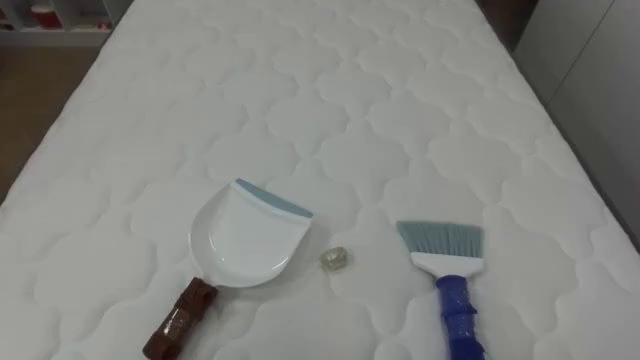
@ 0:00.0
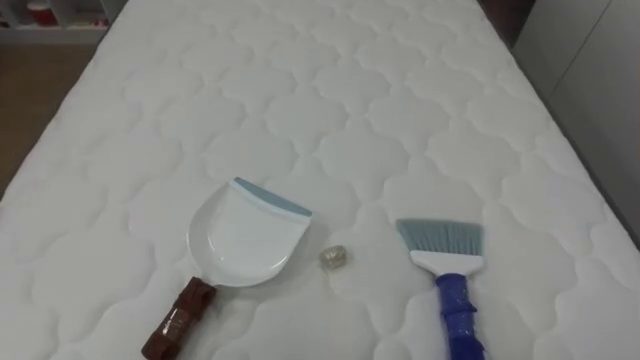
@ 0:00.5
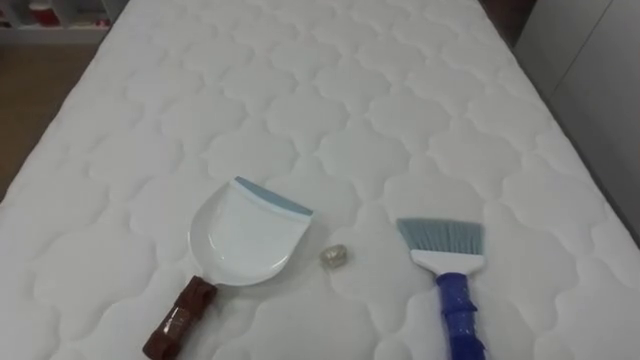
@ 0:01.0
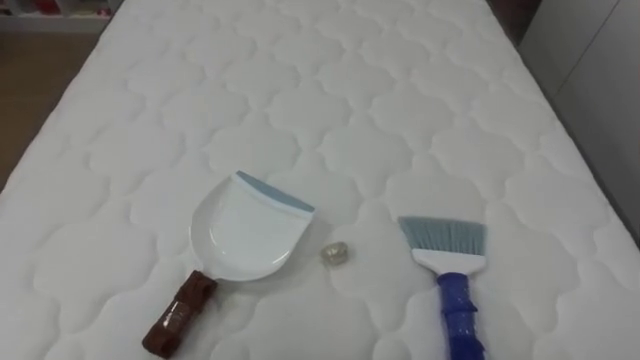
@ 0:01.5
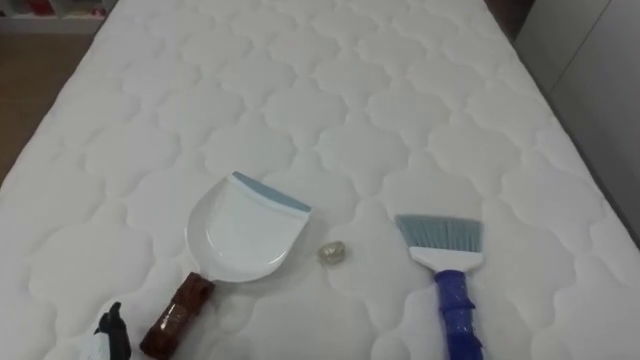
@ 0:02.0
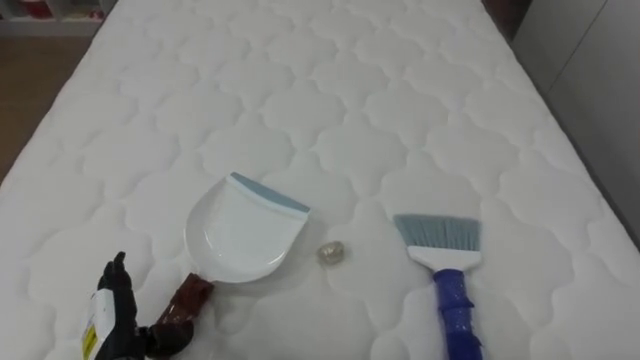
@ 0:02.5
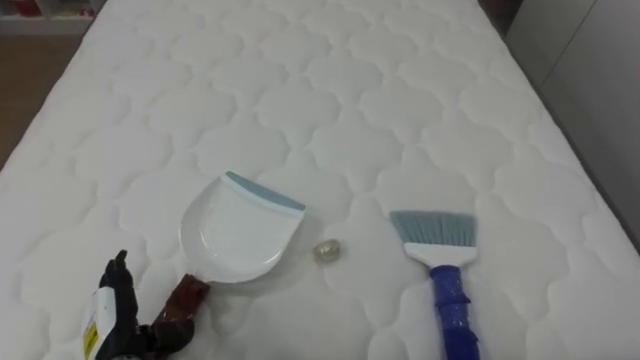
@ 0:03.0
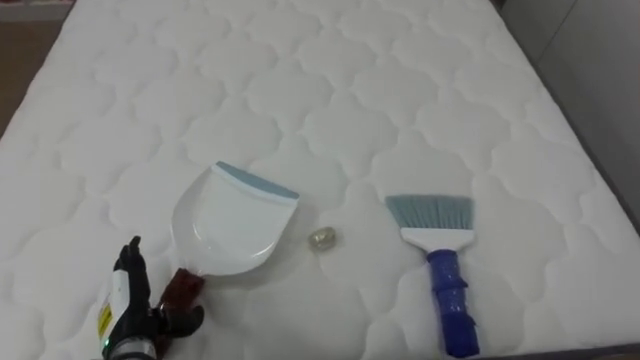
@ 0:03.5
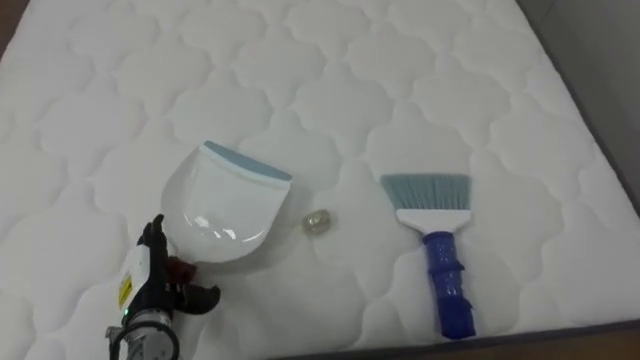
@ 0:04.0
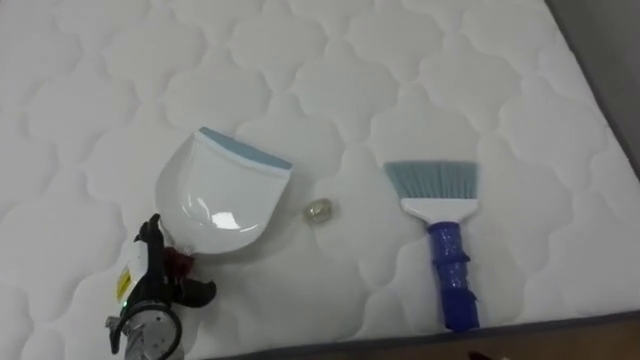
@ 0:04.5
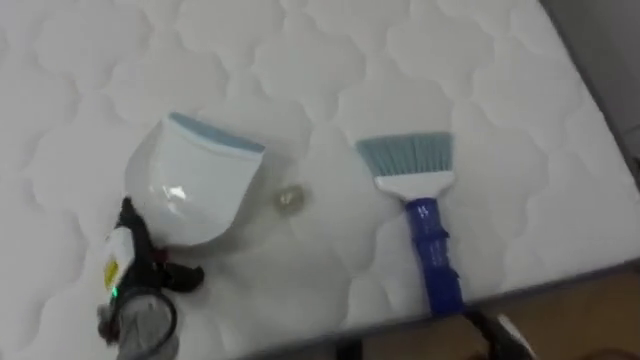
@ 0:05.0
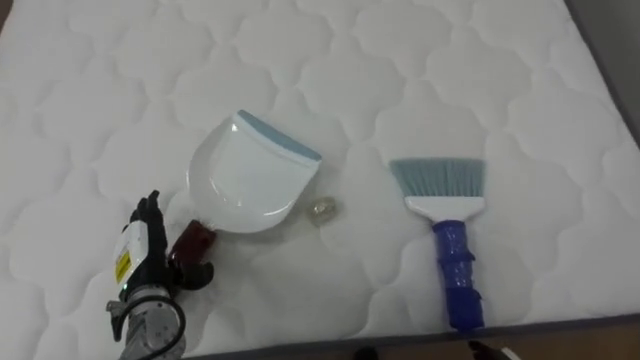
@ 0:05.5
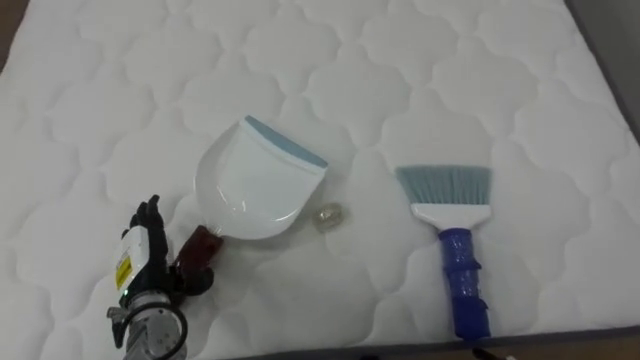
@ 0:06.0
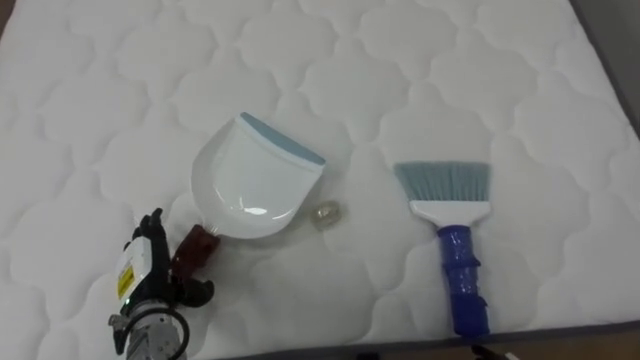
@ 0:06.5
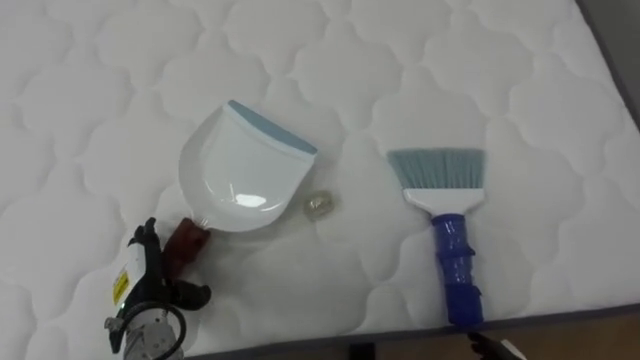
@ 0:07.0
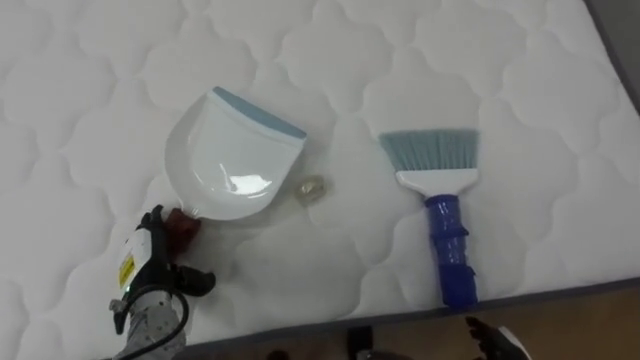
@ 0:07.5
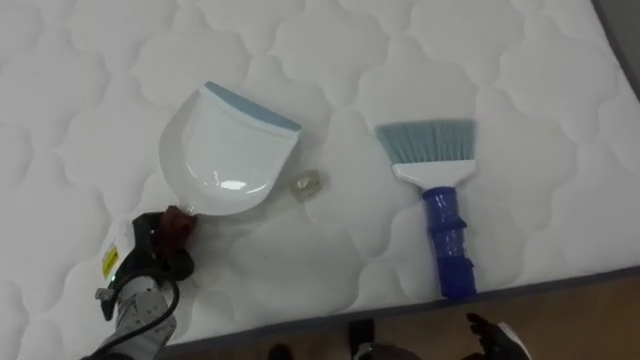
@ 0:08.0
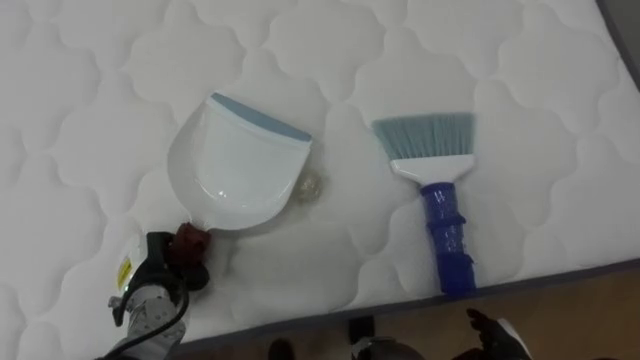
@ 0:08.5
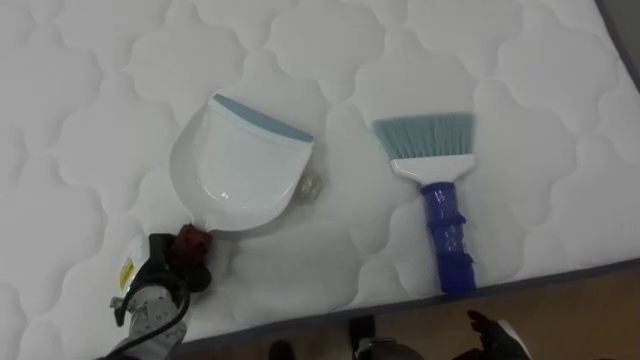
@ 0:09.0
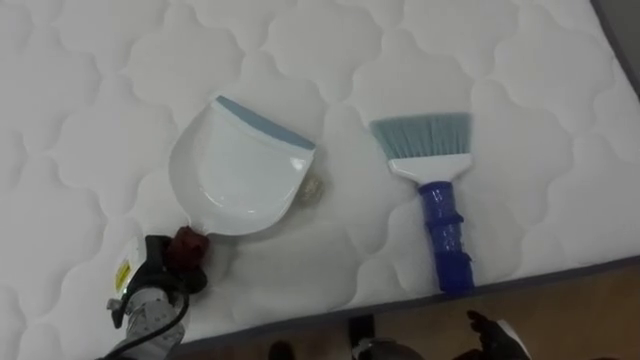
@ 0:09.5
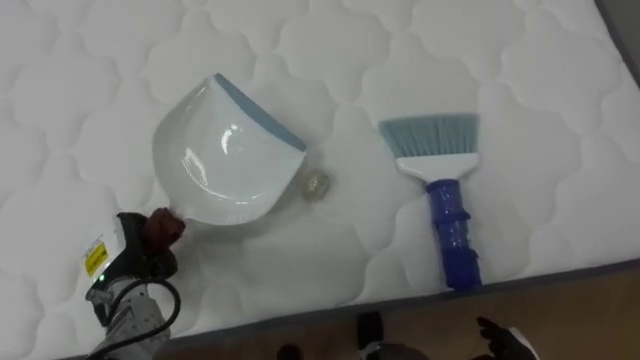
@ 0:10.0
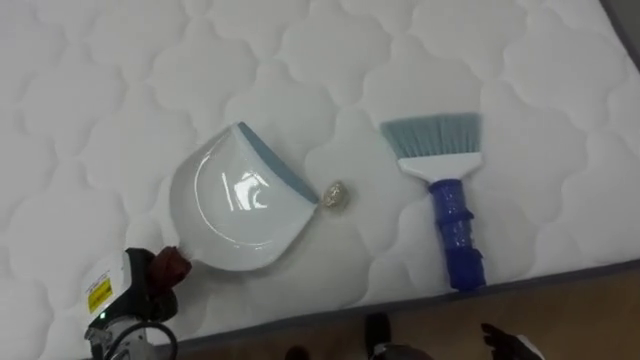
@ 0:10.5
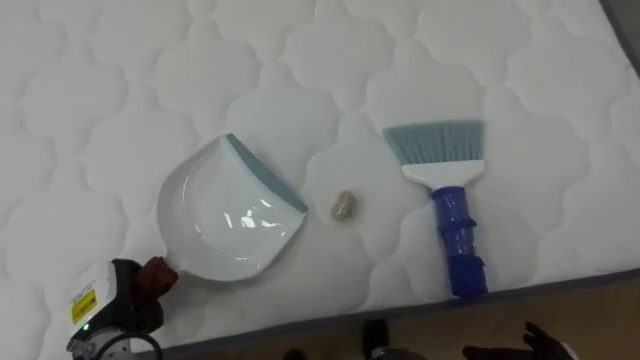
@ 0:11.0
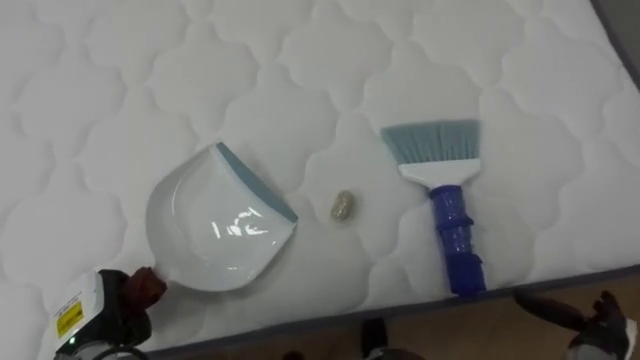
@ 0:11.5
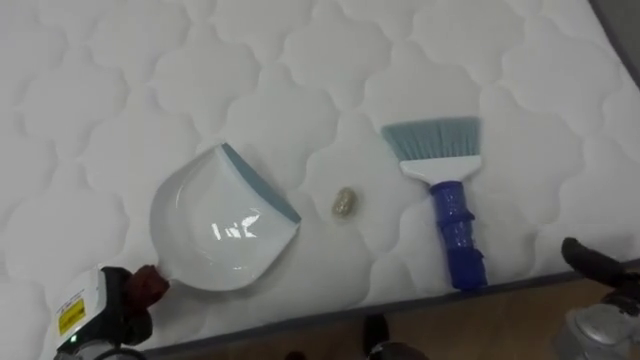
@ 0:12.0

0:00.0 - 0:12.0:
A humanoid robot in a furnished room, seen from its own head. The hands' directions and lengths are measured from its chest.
Task of the whole recording: Pick up the brush on your right and the dustpan on your left. Use the brush to sweep the crumpled paper on the bed into the dustpan, then turn left and empty it into the basket.
0:08.0 - 0:10.0: The left hand closes its fingers.
0:10.0 - 0:12.0: The left hand travels backward by roughly 10 cm.

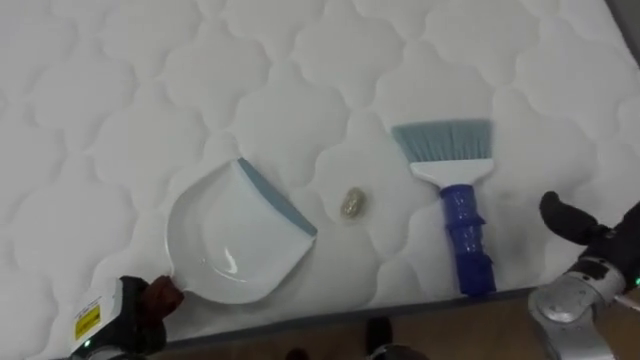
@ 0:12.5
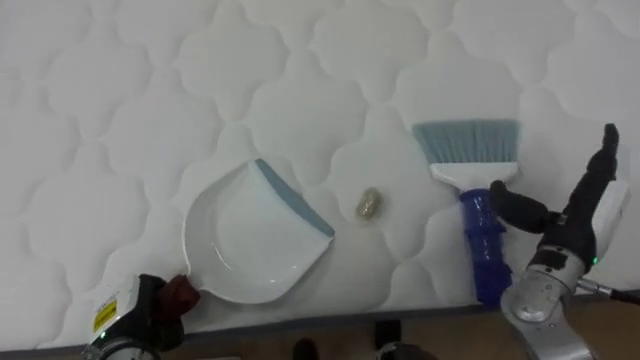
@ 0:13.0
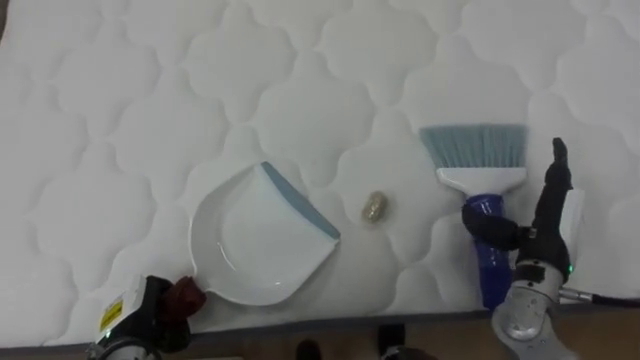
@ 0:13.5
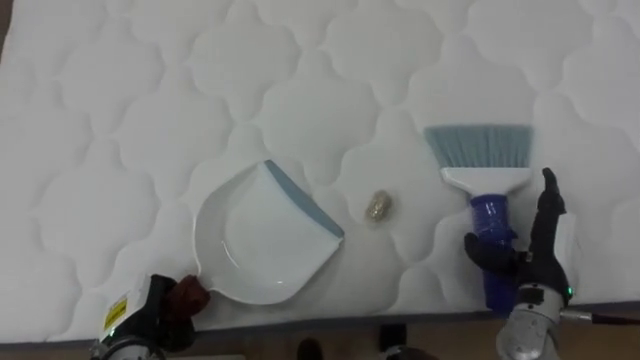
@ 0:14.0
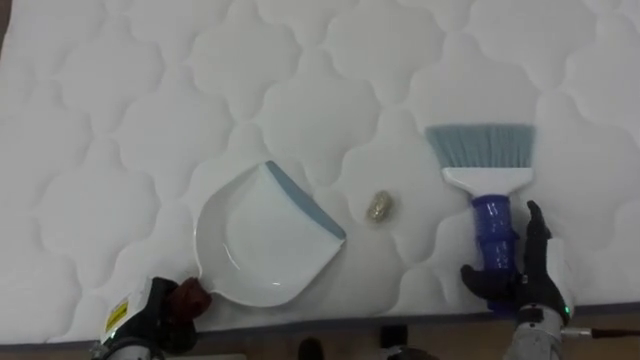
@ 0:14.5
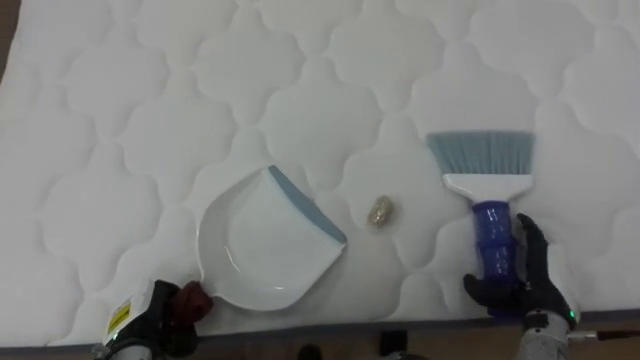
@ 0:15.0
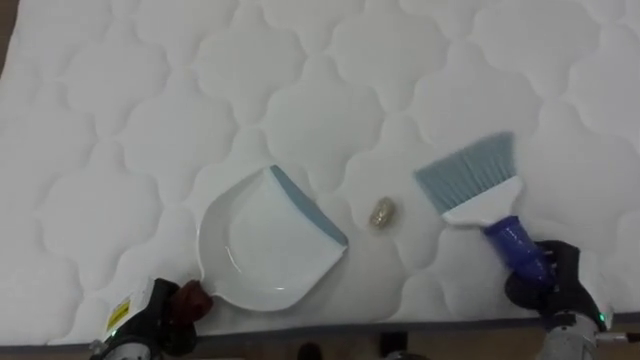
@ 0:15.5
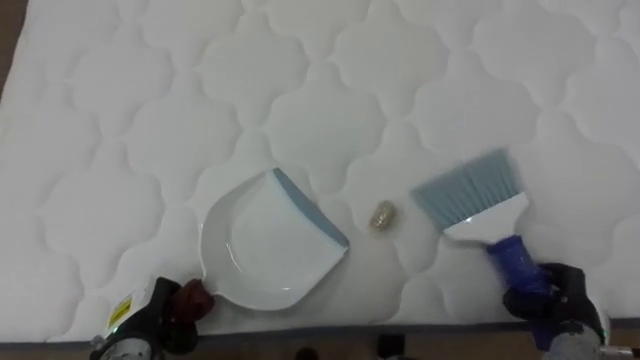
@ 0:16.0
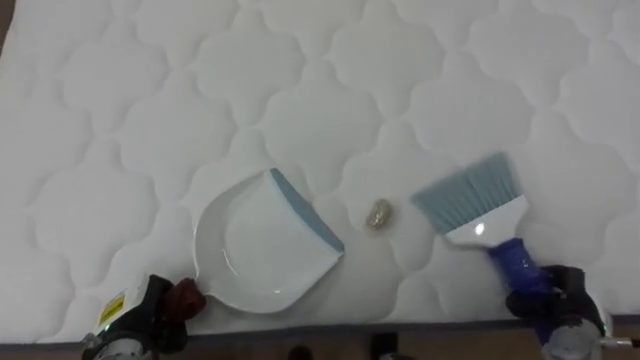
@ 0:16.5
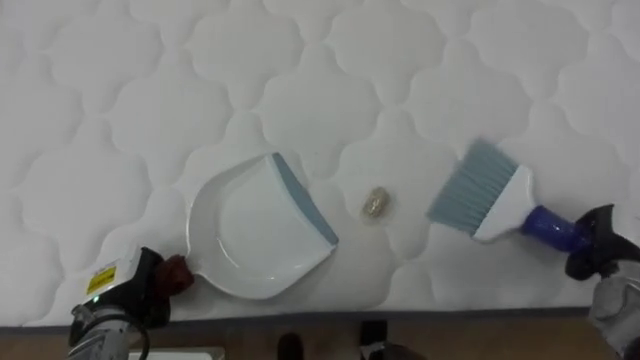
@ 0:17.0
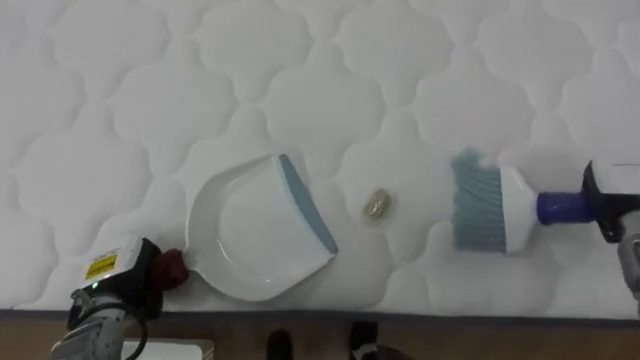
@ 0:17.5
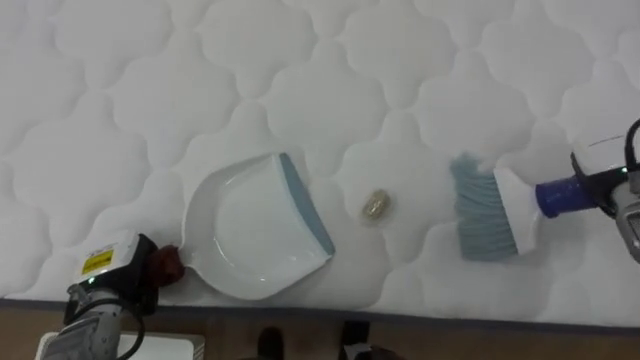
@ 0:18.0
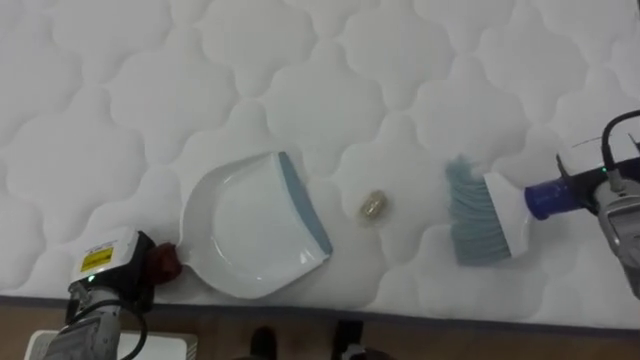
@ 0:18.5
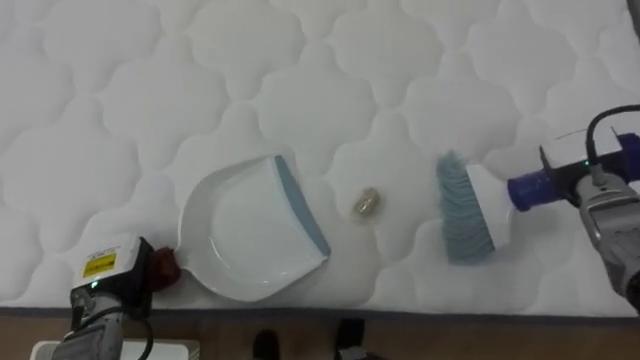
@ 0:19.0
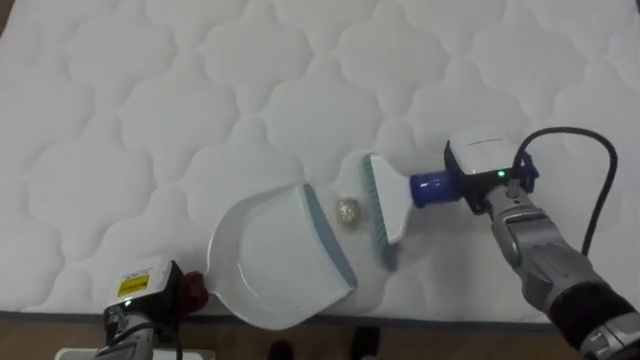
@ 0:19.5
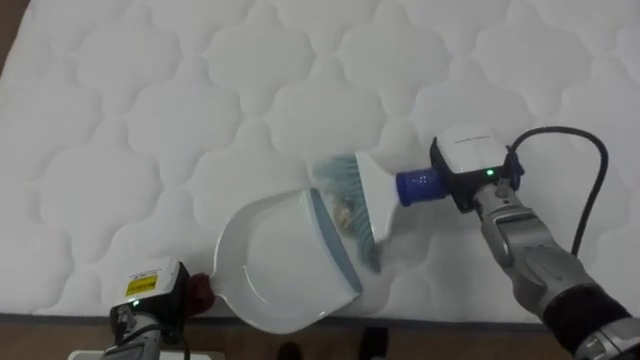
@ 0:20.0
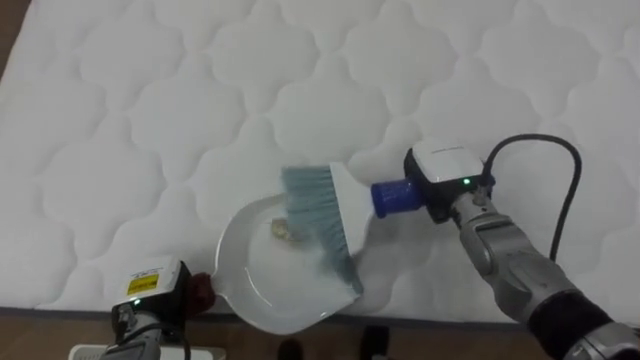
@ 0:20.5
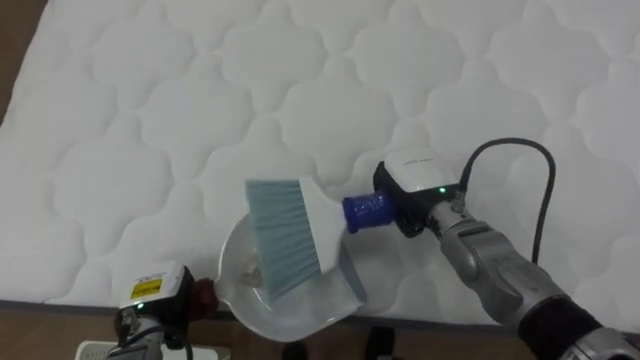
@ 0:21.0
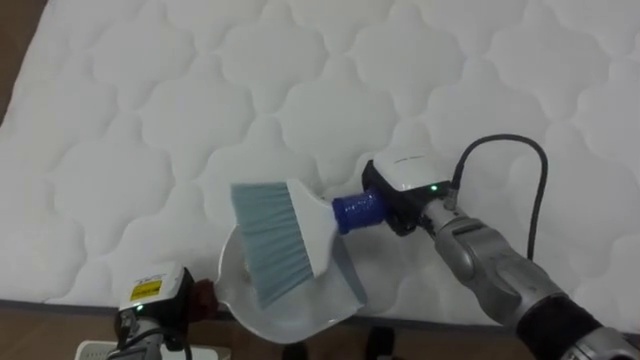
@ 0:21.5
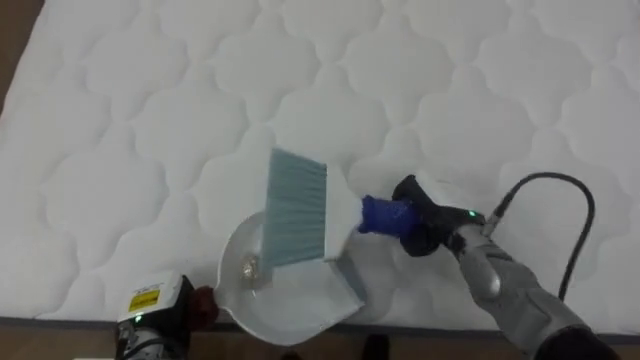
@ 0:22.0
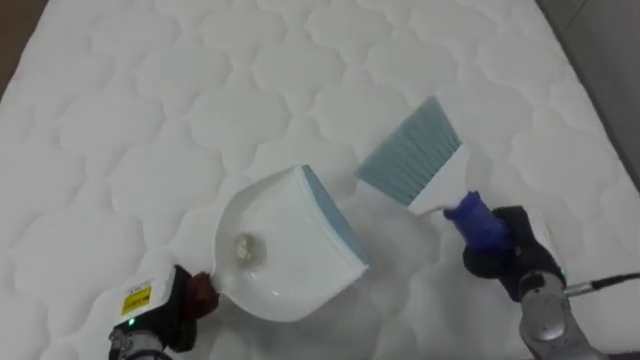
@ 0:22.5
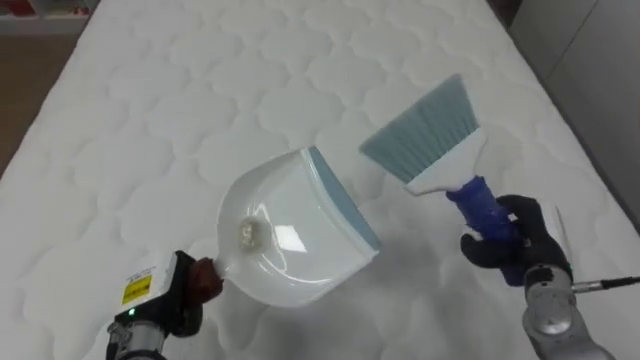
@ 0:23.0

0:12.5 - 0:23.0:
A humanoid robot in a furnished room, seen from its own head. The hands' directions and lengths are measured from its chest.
Task of the whole recording: Pick up the brush on your right and the dustpan on your left. Use the brush to sweep the crumpled paper on the bed into the dustpan, then turn left and empty it into the basket.
0:12.5 - 0:14.5: The right hand travels downward and to the left by about 10 cm.
0:14.5 - 0:16.5: The right hand moves to the right, approximately 5 cm, and closes its fingers.
0:16.5 - 0:19.0: The right hand heads forward and upward, covering some 20 cm. The left hand changes place by some 5 cm.
0:19.0 - 0:21.0: The left hand travels to the right by roughly 5 cm. The right hand moves to the left, some 20 cm.
0:21.0 - 0:23.0: The right hand goes approximately 20 cm to the right and backward.
